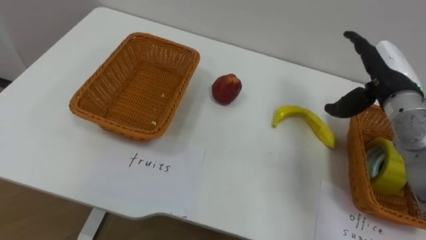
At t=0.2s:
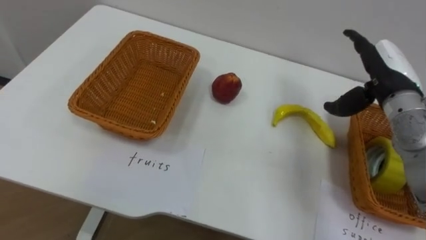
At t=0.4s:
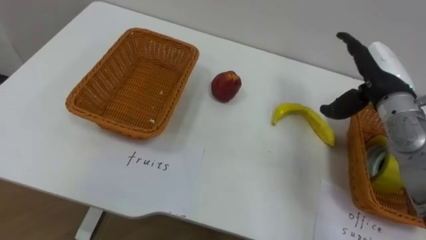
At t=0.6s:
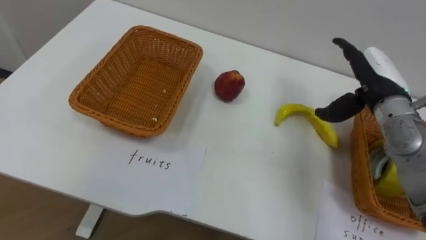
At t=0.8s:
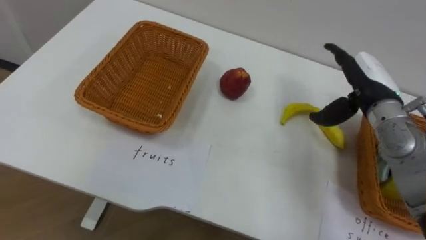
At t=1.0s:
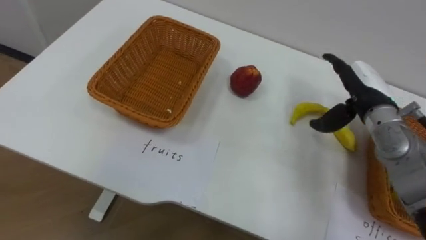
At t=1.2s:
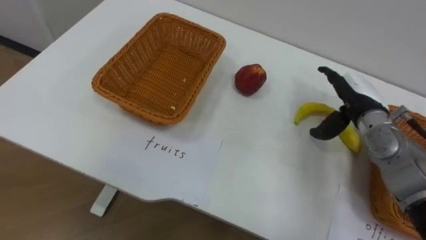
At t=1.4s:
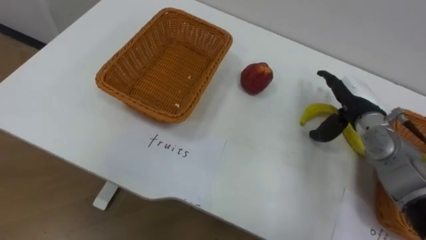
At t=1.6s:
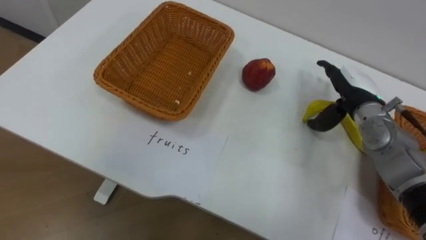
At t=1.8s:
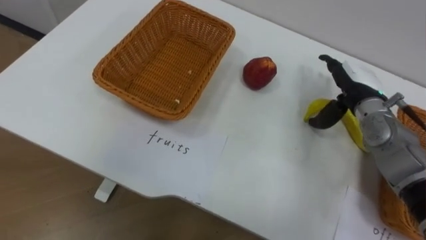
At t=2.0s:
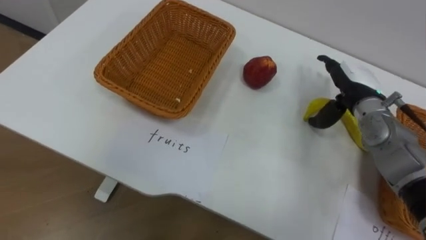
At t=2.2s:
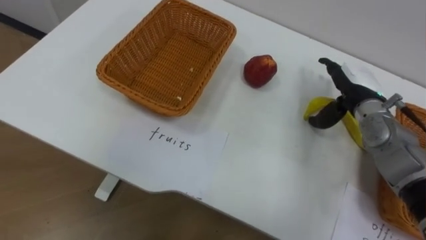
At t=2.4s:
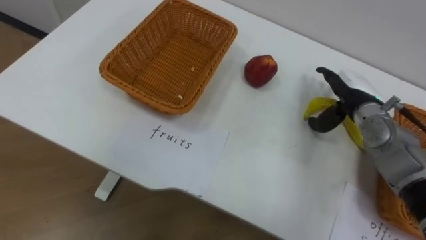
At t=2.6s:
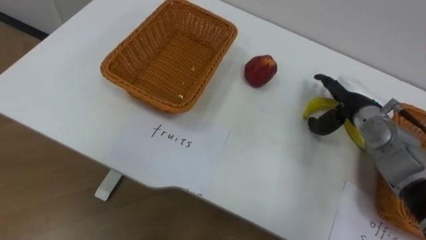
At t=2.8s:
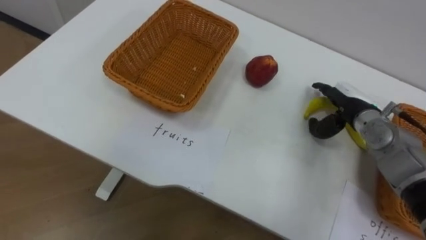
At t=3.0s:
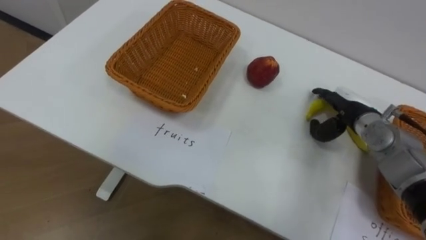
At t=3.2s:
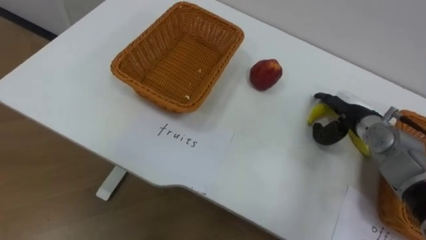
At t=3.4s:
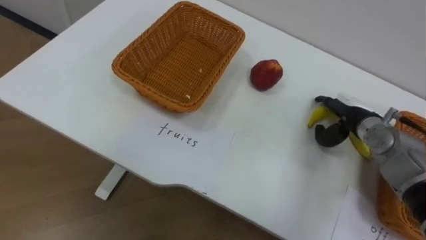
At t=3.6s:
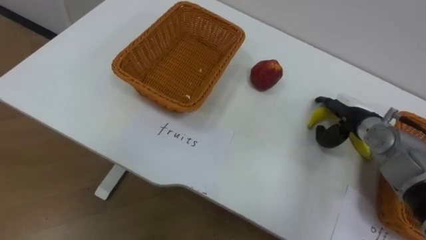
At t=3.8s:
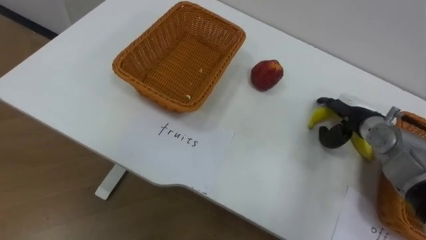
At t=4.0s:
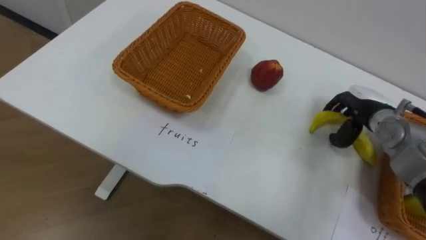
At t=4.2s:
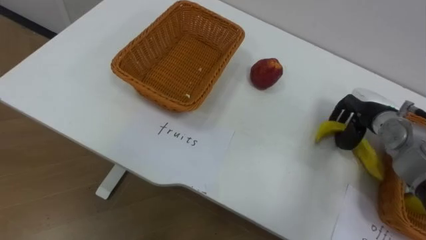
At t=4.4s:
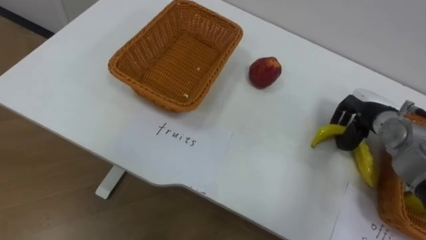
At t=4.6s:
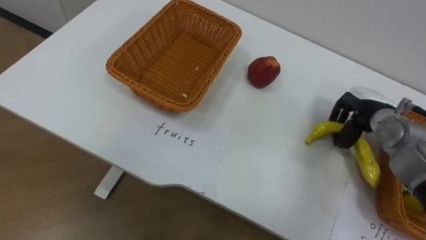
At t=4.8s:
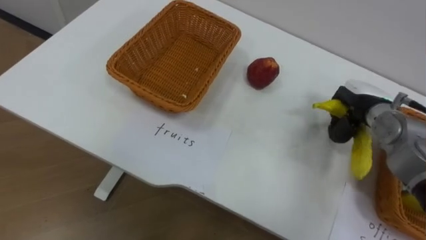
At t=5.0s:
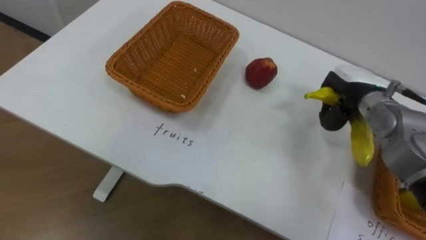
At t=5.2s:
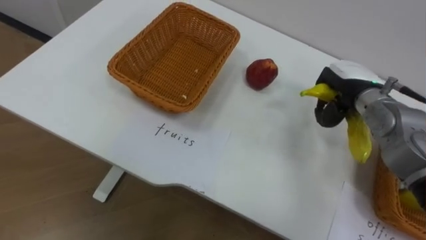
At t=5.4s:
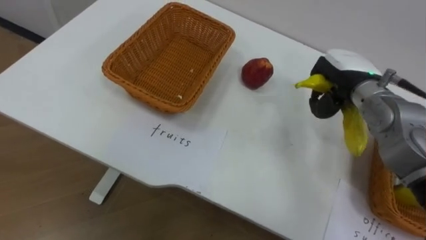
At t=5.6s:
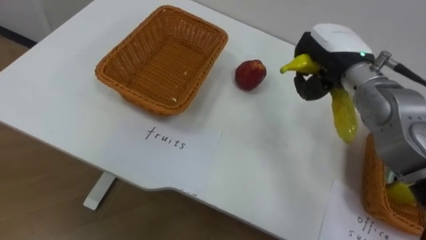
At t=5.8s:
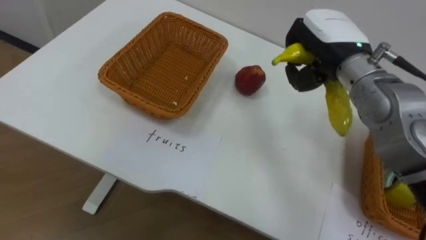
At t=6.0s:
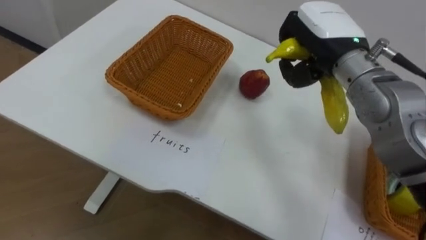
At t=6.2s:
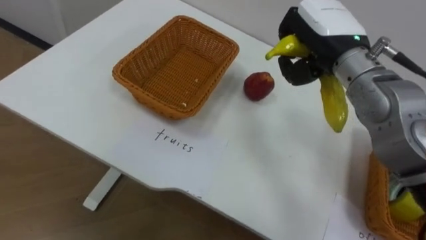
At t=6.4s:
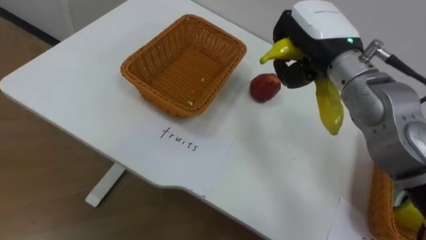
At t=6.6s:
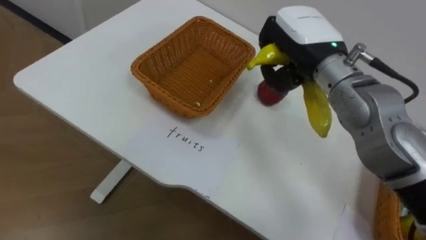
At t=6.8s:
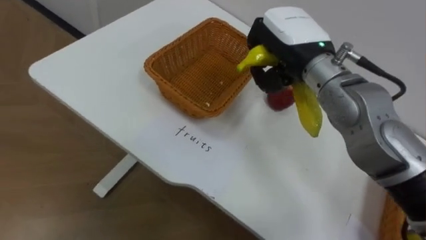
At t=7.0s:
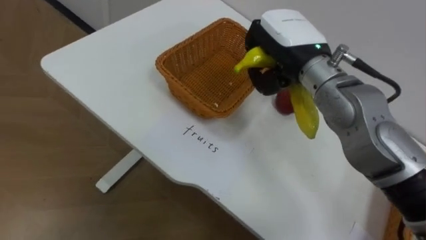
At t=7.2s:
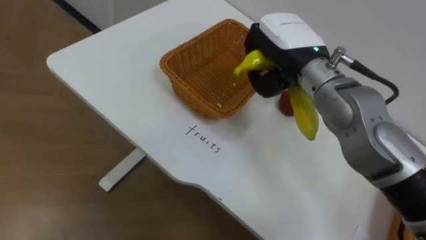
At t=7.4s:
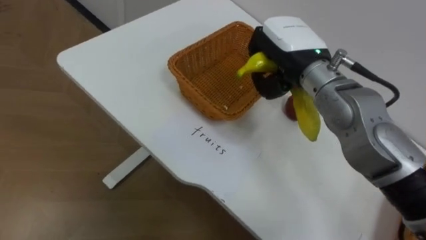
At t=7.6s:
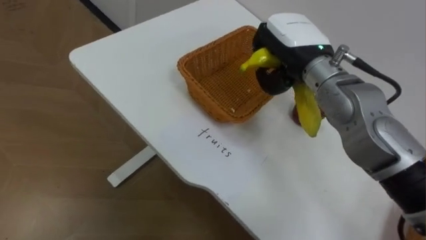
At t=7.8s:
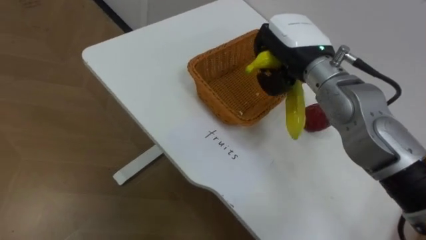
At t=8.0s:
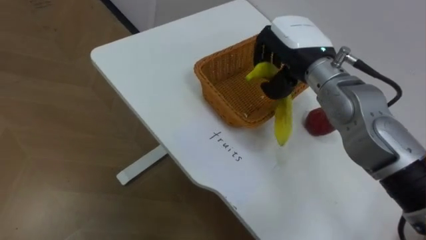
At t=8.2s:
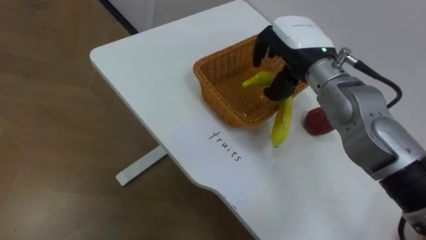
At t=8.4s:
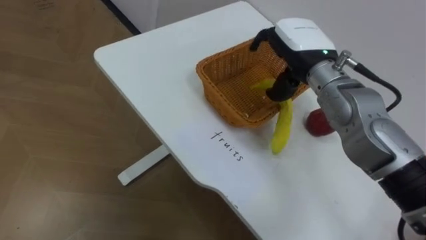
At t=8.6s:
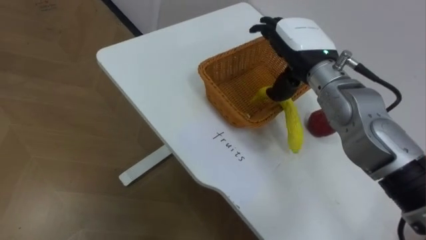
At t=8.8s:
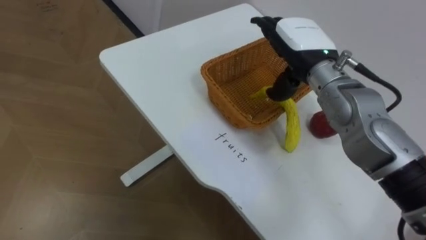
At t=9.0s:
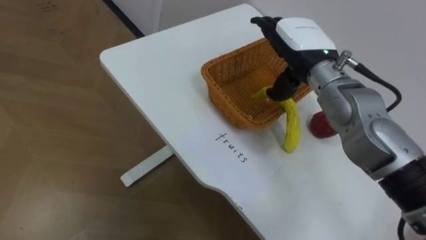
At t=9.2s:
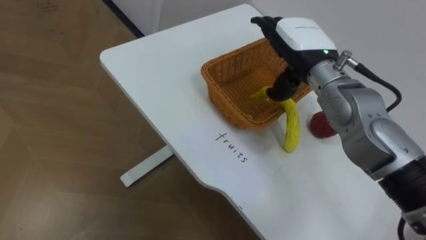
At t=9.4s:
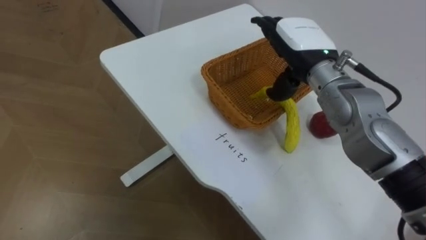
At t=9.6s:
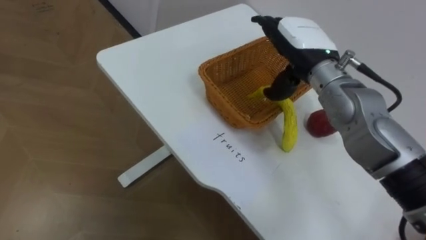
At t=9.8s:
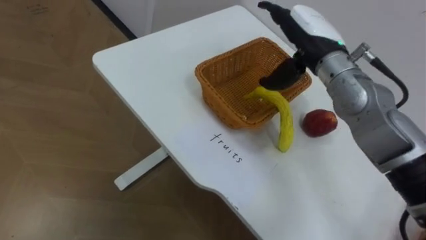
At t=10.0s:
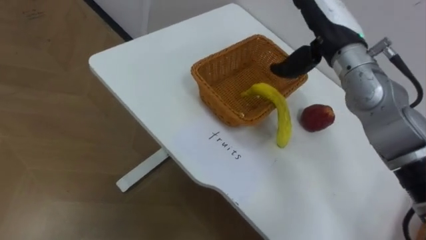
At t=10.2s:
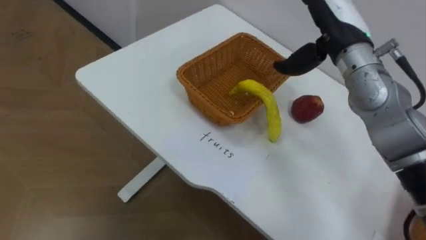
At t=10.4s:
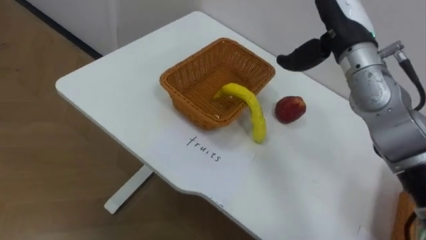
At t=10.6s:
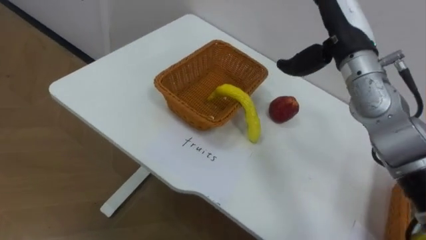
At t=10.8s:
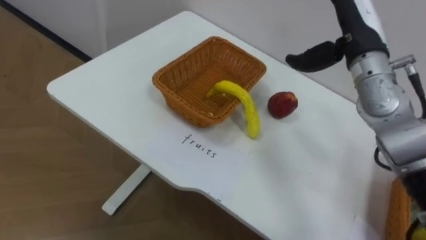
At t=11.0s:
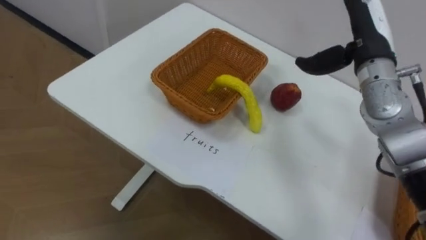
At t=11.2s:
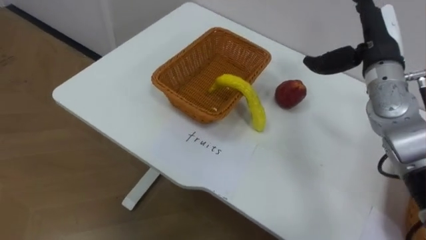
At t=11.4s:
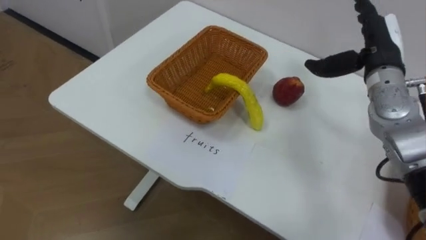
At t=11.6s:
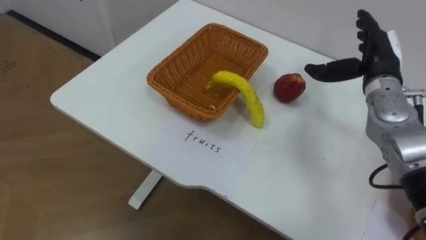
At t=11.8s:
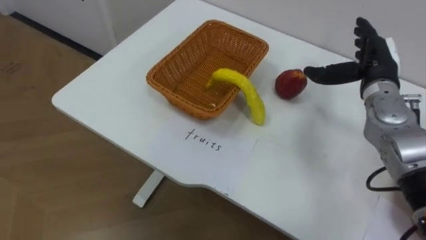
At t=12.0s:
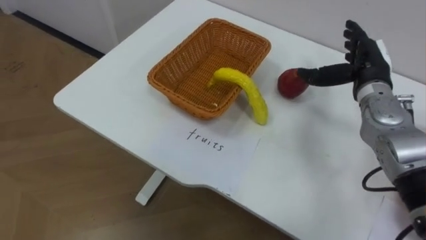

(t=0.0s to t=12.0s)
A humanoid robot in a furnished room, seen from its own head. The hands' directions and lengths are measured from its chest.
Task of the whole recording: Separate the items on the table and place them into the two baskets.
t=0.0s - t=1.6s: The right hand is displaced downward by roughly 5 cm.
t=3.0s - t=4.4s: The right hand closes up.
t=4.4s - t=6.0s: The right hand shifts some 20 cm upward and to the left.
t=7.6s - t=9.0s: The right hand opens its fingers.
t=9.0s - t=10.4s: The right hand heads to the right, covering roughly 5 cm.
t=10.4s - t=12.0s: The right hand travels downward and to the right by some 10 cm.

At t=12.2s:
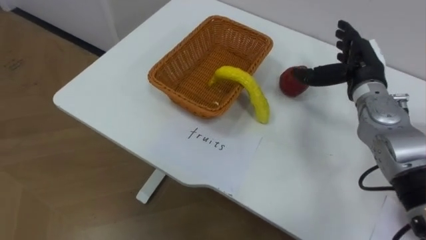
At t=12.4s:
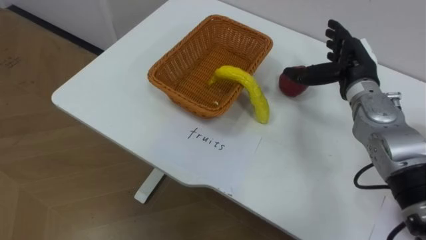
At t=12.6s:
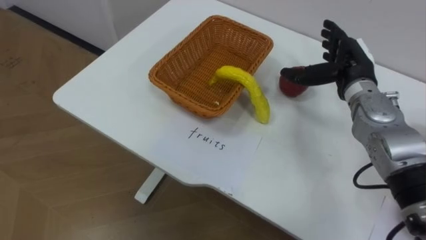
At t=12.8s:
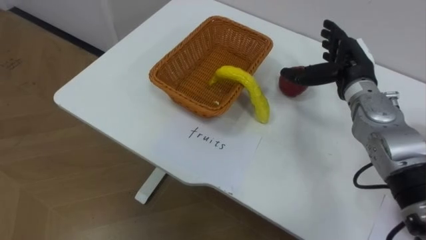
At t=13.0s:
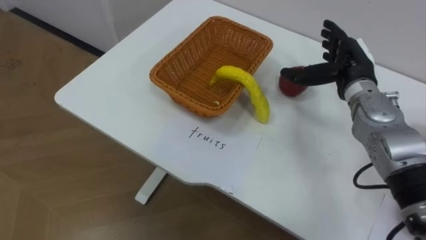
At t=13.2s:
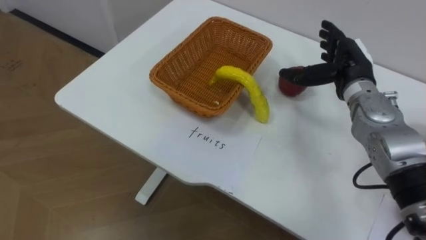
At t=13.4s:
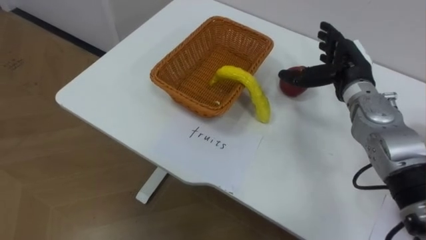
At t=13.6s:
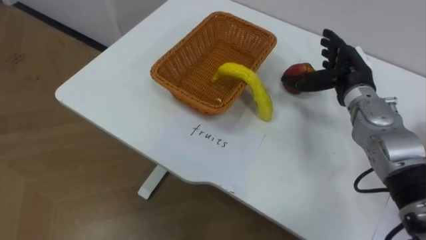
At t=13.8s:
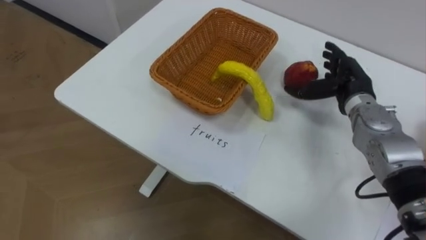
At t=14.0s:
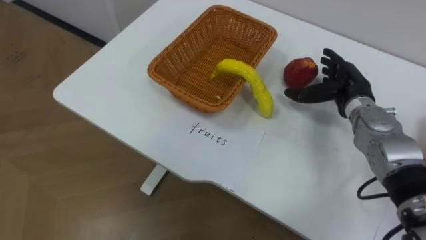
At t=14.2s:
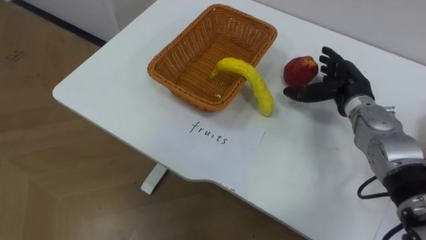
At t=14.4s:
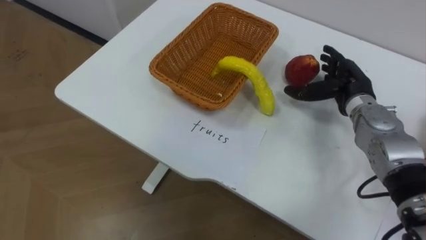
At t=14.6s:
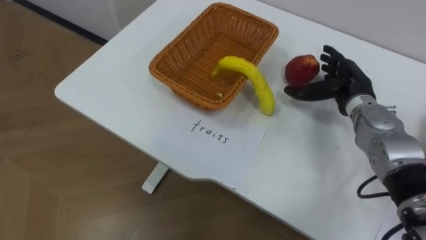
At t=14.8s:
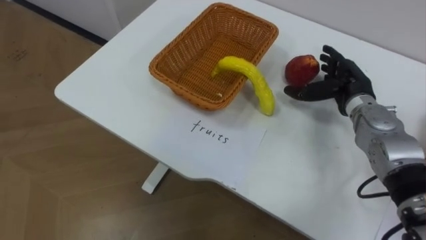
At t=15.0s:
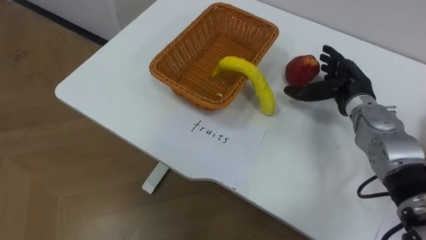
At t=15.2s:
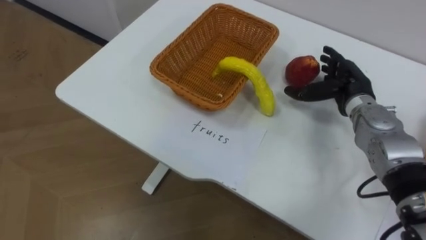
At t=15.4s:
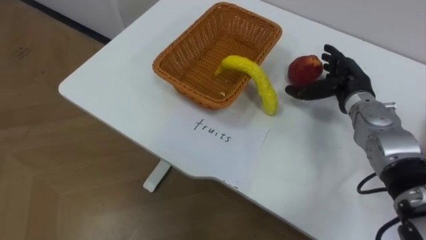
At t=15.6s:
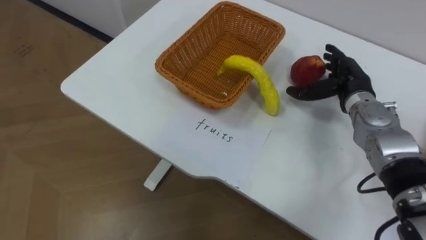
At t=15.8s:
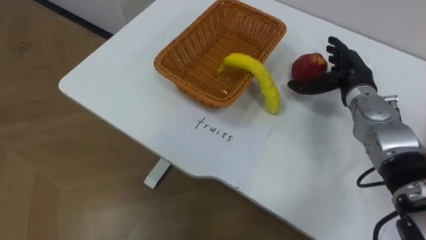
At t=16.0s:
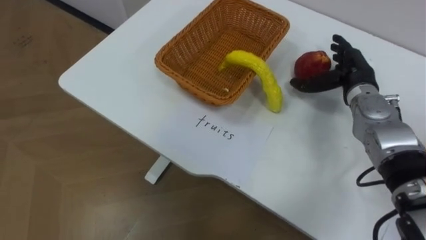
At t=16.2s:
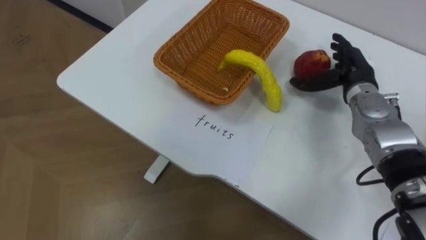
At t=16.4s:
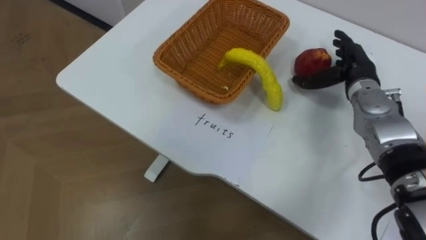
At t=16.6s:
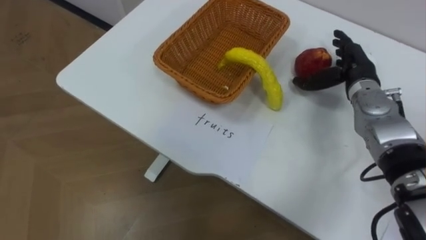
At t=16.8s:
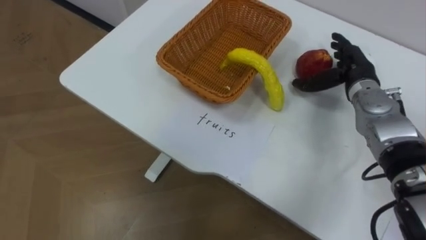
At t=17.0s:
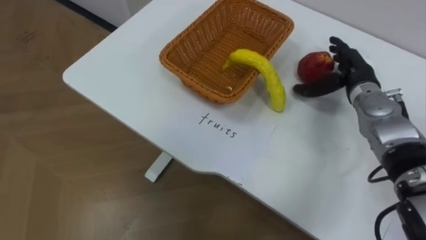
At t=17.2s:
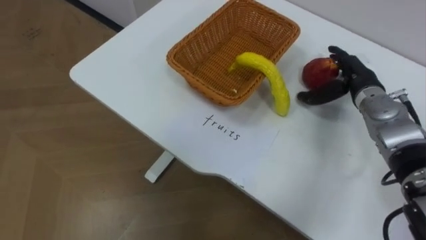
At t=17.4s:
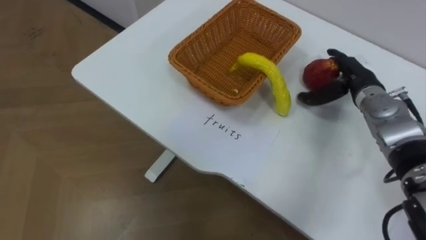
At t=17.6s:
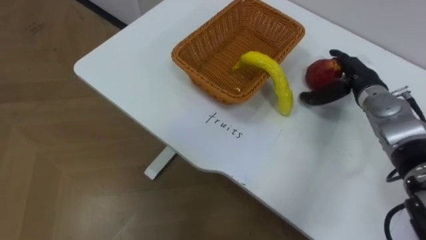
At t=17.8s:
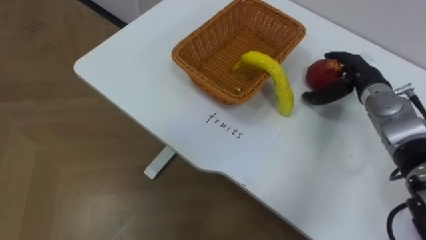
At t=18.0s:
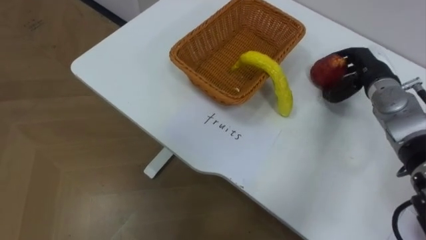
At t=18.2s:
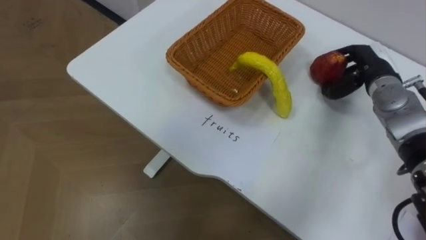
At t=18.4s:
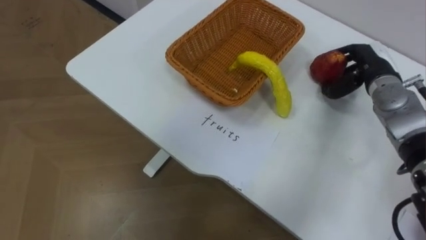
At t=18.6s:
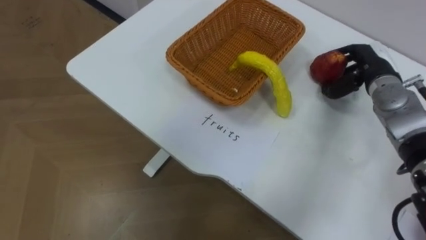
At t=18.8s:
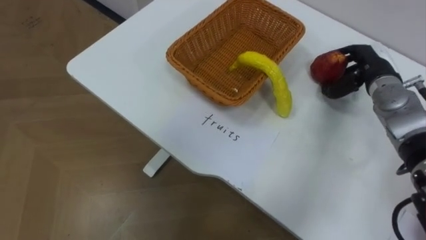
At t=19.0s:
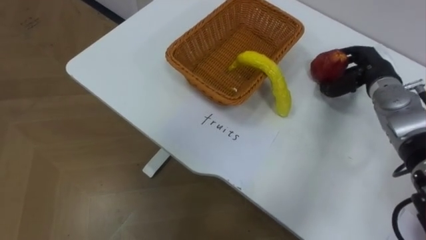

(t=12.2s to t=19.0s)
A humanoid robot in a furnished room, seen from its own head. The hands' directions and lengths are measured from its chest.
Task of the whole recording: Separate the items on the table and place them into the two baskets.
t=17.6s - t=19.0s: The right hand closes its fingers.
